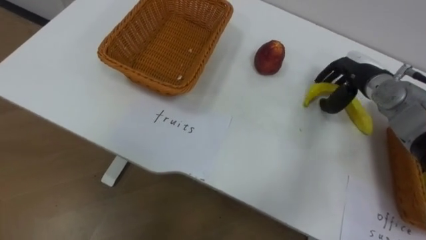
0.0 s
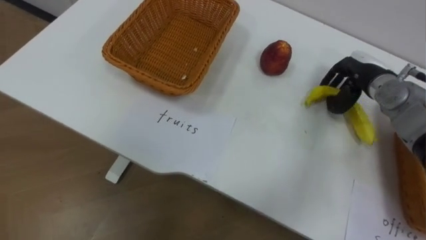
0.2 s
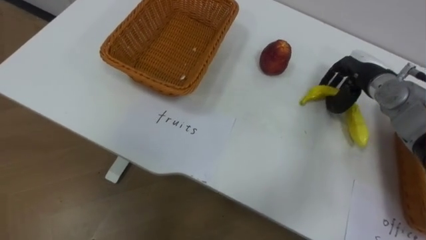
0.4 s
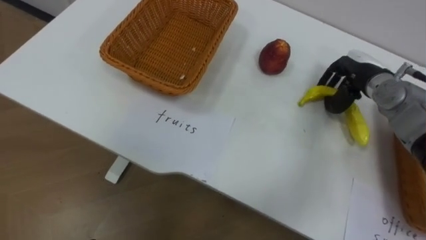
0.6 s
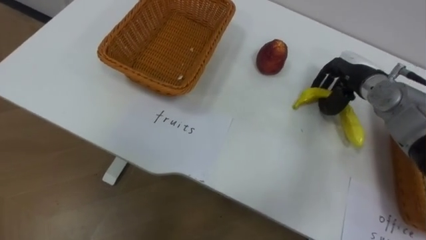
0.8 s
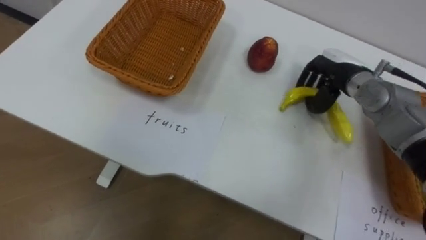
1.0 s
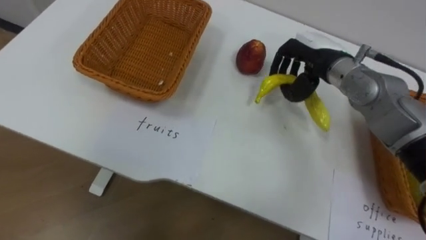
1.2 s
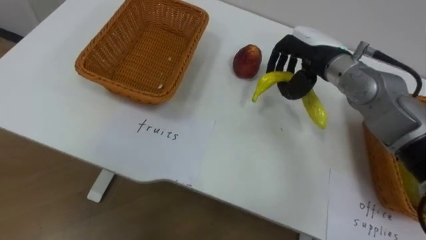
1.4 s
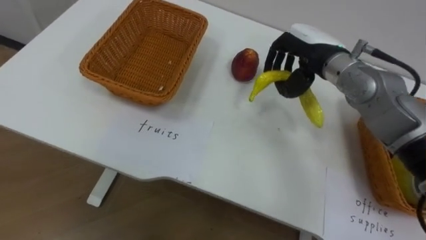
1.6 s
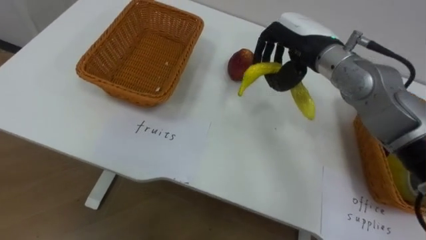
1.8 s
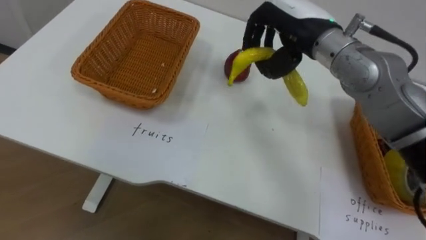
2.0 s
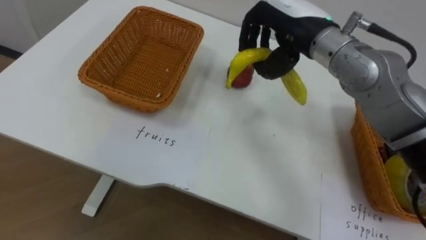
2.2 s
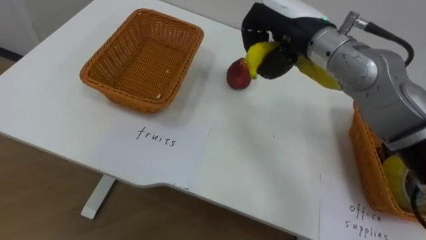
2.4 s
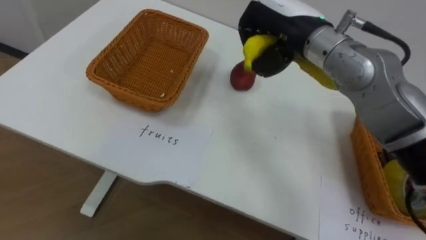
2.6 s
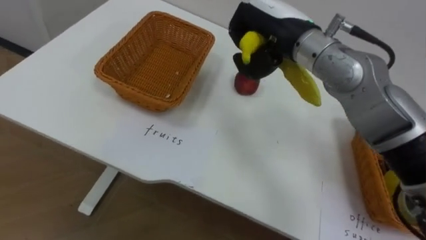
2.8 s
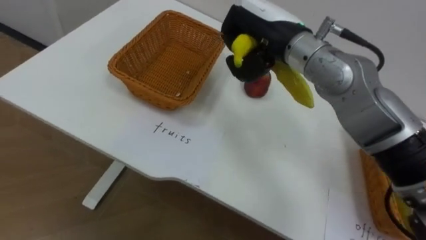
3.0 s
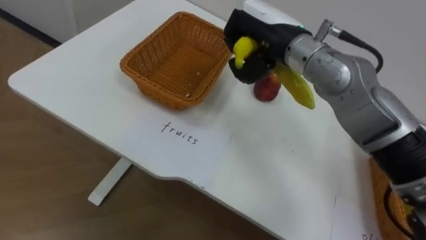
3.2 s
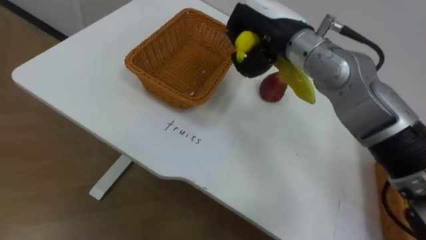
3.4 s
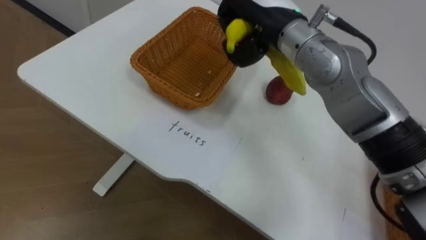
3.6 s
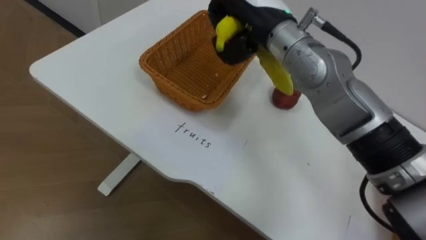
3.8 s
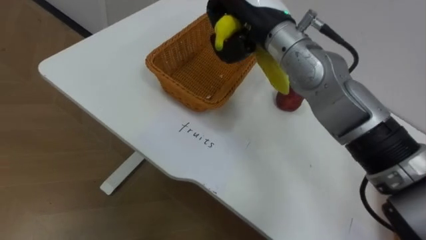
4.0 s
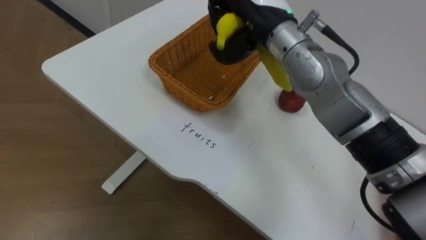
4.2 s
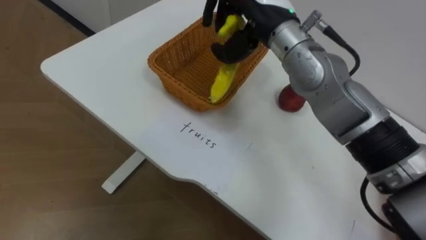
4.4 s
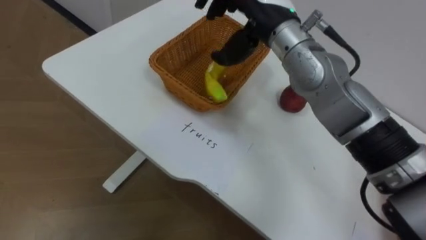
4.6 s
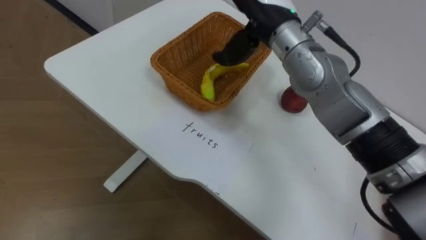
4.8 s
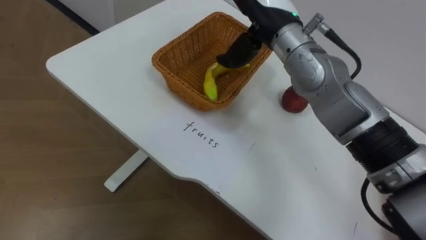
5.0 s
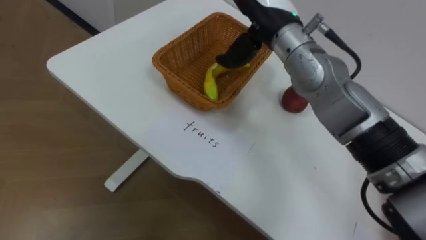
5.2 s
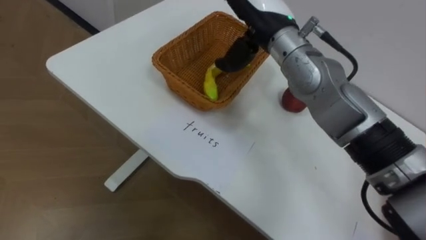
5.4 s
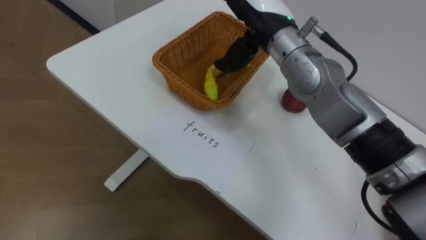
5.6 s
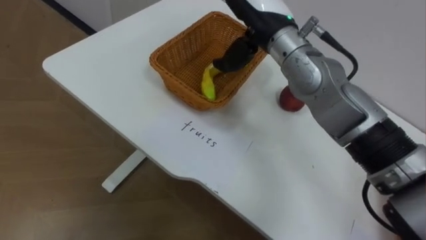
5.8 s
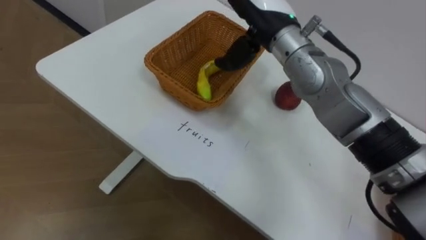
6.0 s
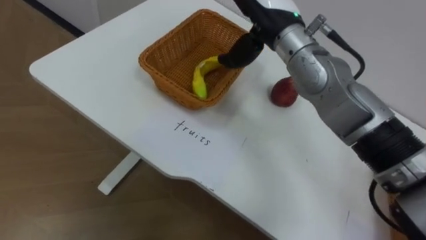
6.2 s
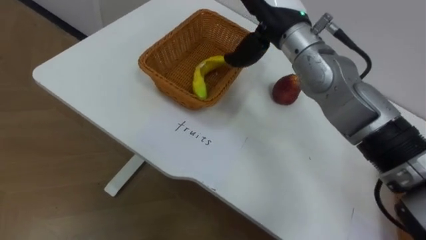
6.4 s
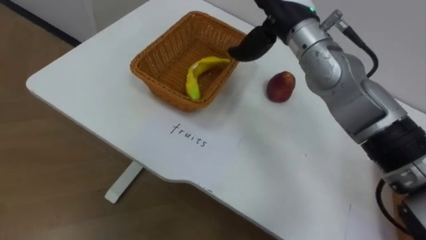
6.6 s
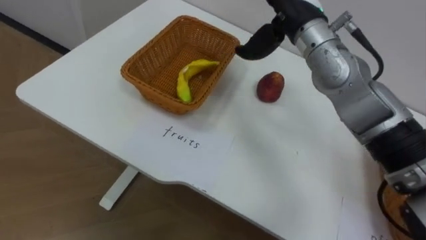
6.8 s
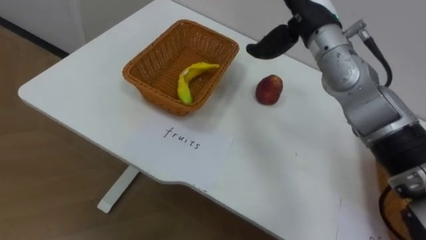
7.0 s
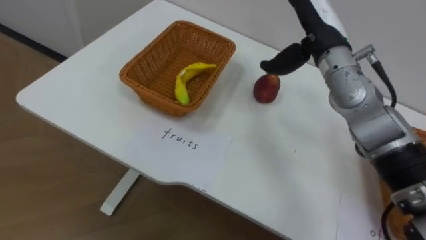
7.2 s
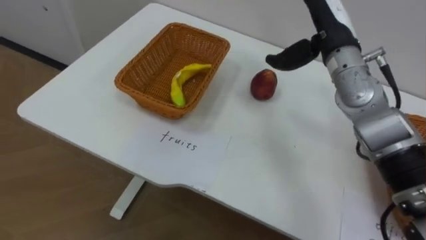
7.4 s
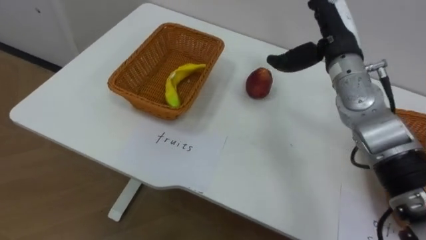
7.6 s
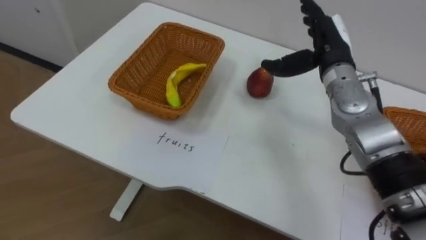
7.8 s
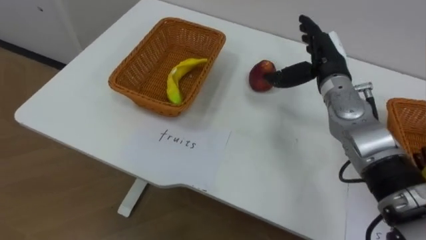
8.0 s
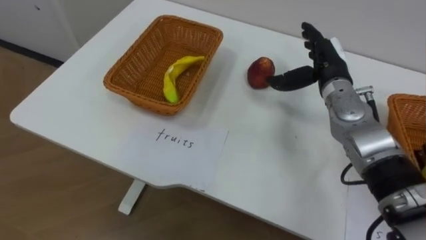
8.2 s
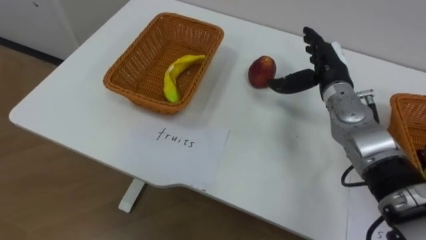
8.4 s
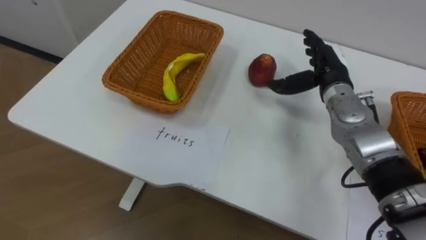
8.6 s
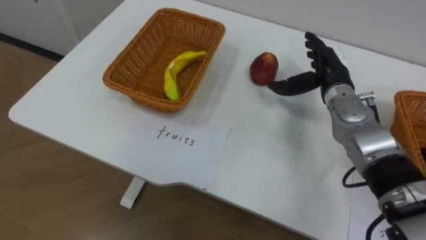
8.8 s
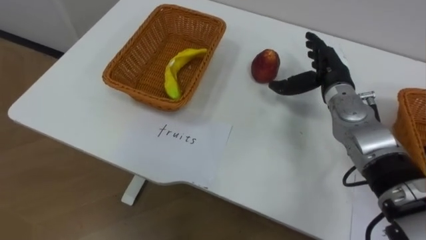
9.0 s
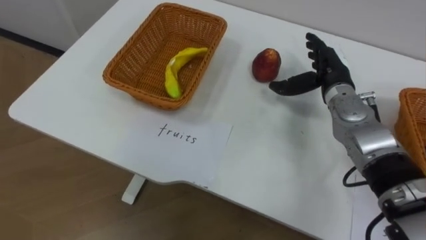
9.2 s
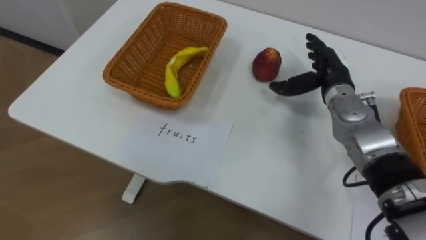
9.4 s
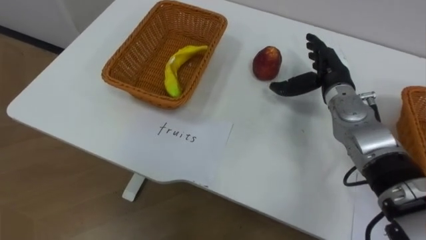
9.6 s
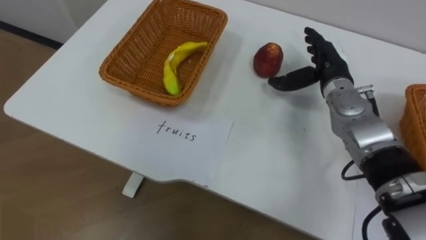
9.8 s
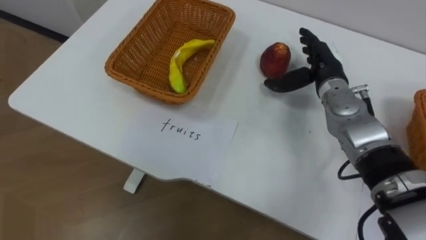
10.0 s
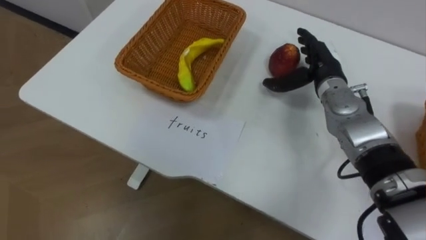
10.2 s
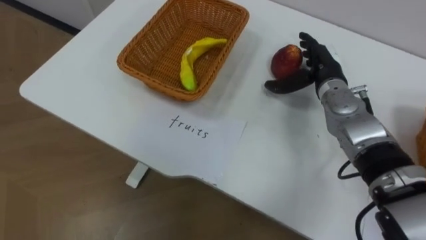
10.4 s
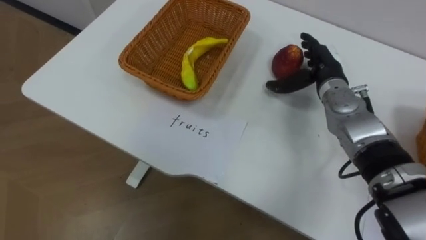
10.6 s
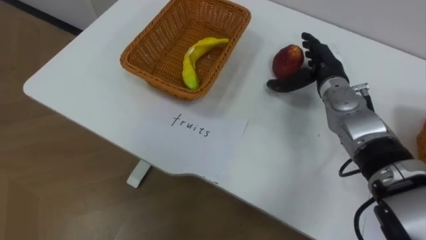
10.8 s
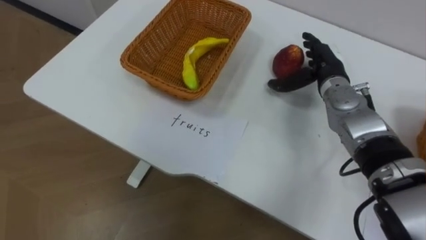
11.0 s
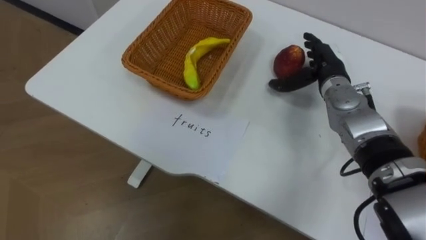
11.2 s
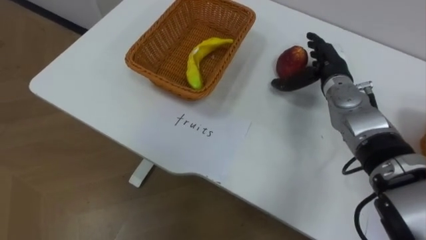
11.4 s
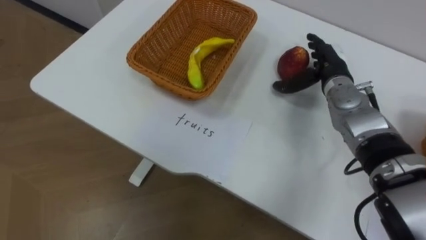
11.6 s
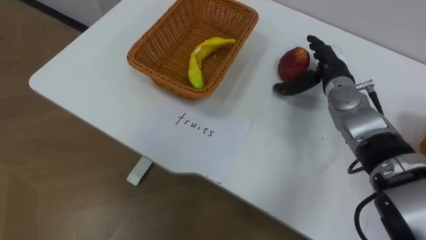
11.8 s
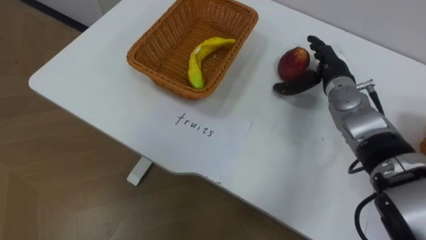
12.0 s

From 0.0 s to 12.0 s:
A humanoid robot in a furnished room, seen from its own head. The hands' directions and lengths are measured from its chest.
Task of the whole recording: Separate the items on the table and place them into the two baskets.
From 0.0 s to 1.6 s: The right hand is displaced to the left and upward by roughly 15 cm, and closes up.
From 1.6 s to 3.0 s: The right hand travels to the left and upward by approximately 10 cm.
From 4.4 s to 6.0 s: The right hand opens.
From 6.0 s to 7.6 s: The right hand shifts approximately 15 cm to the right and downward.
From 7.6 s to 9.0 s: The right hand travels downward by about 10 cm.

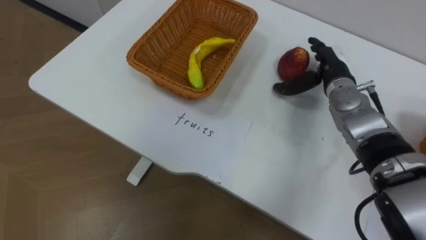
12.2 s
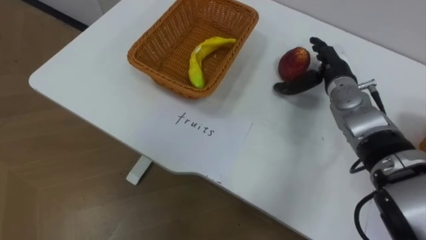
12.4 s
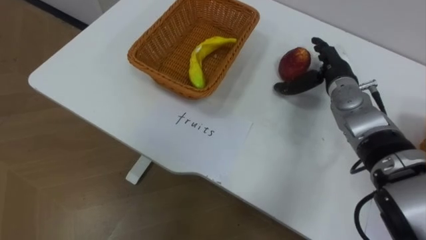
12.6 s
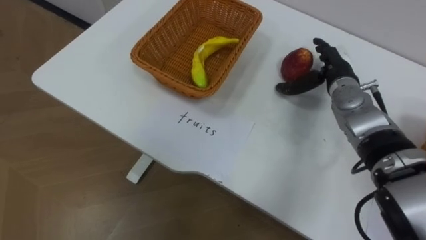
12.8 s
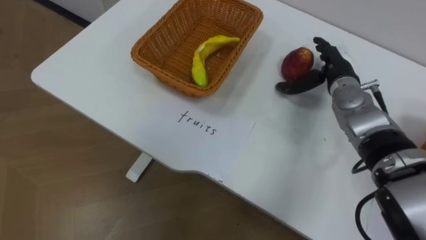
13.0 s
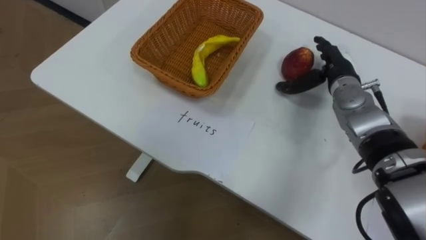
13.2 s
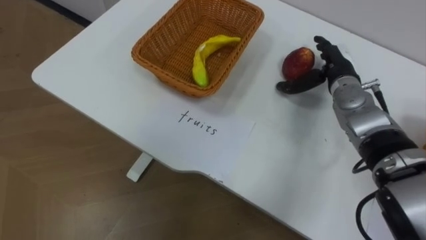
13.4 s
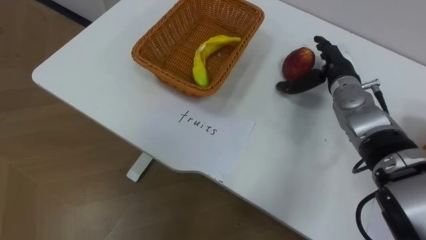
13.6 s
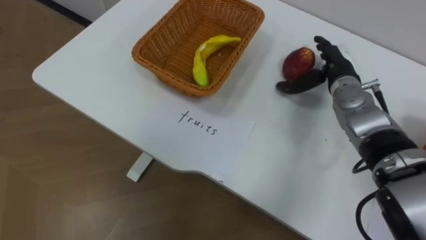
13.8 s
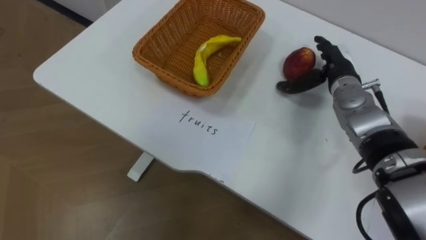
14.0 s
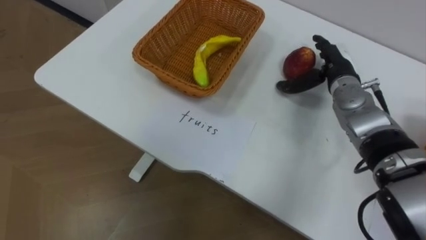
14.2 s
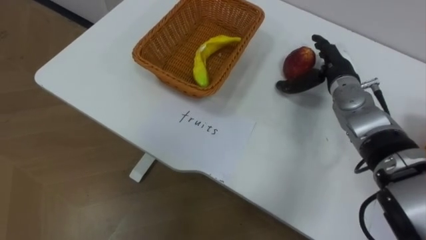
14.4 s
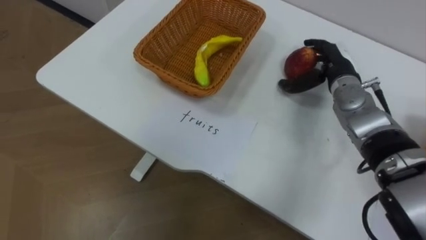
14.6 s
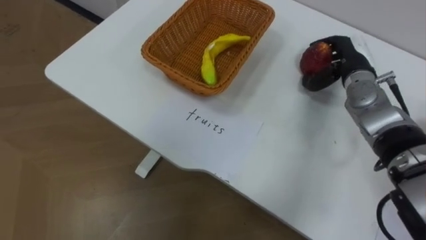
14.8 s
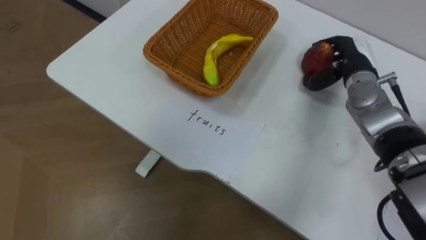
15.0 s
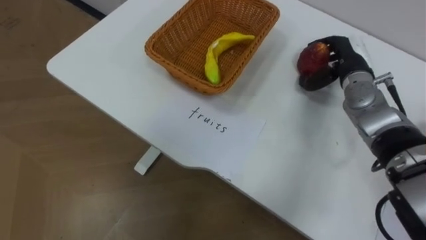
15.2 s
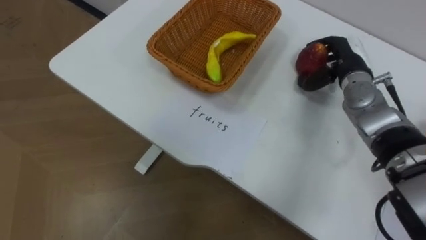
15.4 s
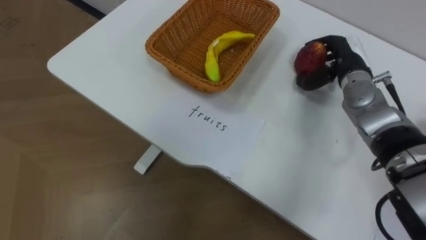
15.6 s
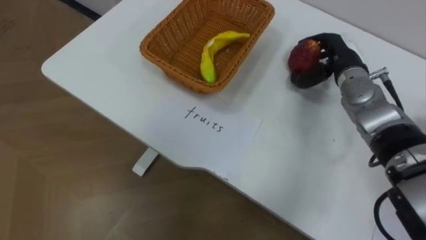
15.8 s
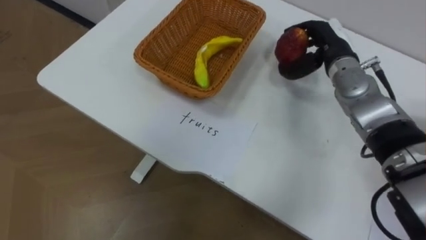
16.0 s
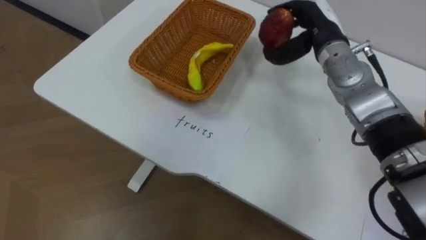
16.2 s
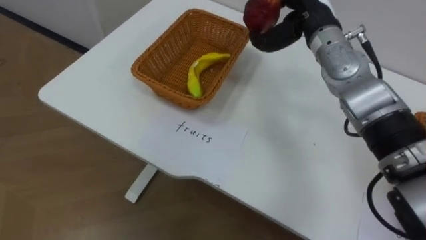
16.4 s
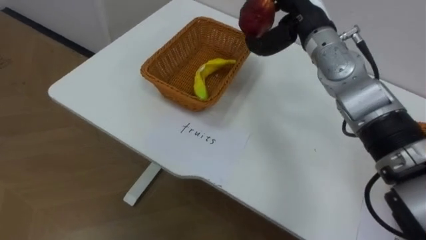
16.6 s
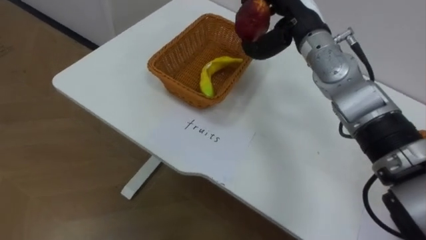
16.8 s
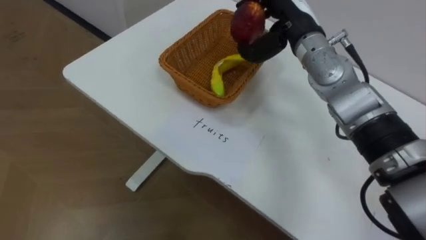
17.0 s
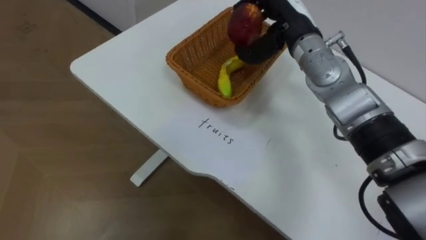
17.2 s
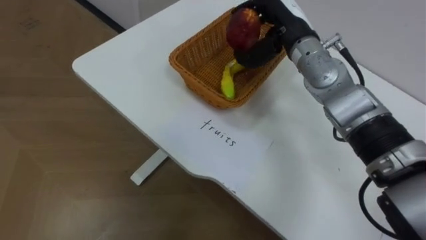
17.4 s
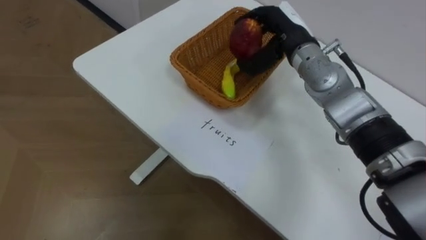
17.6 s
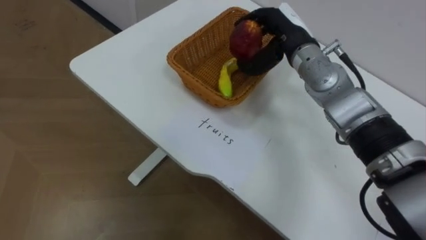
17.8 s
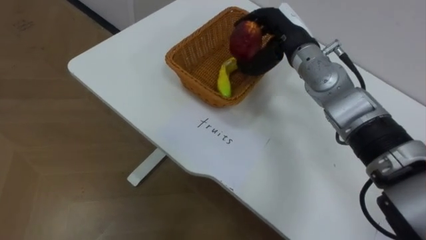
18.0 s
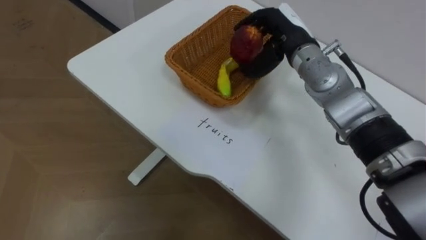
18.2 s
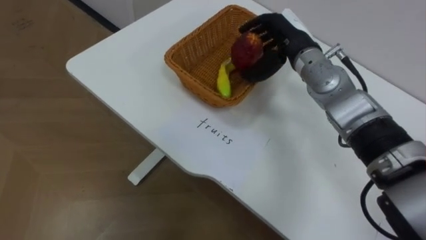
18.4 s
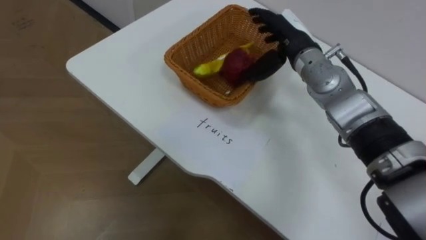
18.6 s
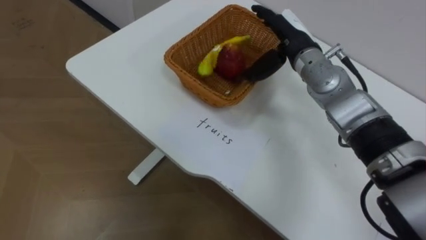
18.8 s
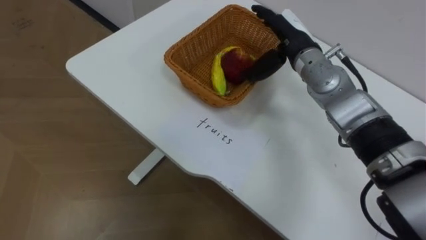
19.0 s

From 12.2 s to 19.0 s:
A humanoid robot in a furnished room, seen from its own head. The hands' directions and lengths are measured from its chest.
Task of the whole recording: Separate the items on the table and place them into the two baskets.
From 13.6 s to 15.0 s: The right hand closes up.
From 15.0 s to 16.2 s: The right hand moves to the left and upward, about 10 cm.
From 16.2 s to 17.6 s: The right hand travels to the left by approximately 5 cm.
From 17.6 s to 19.0 s: The right hand opens its fingers.
